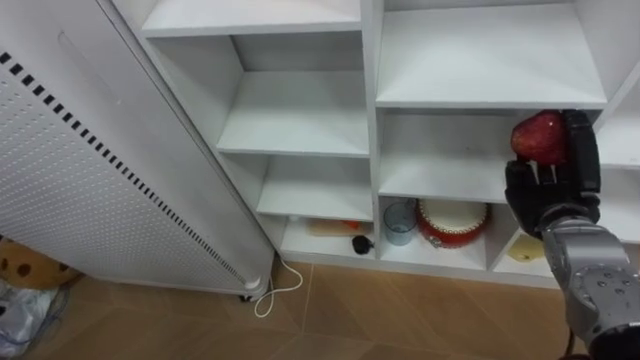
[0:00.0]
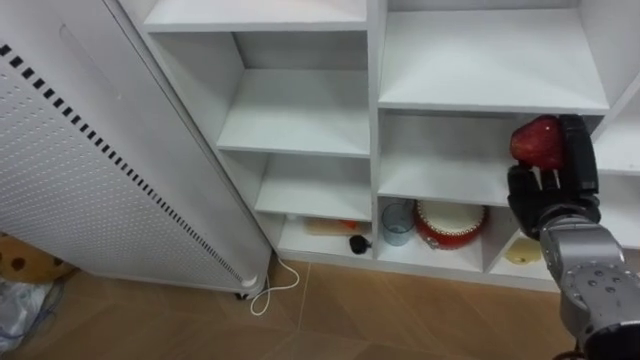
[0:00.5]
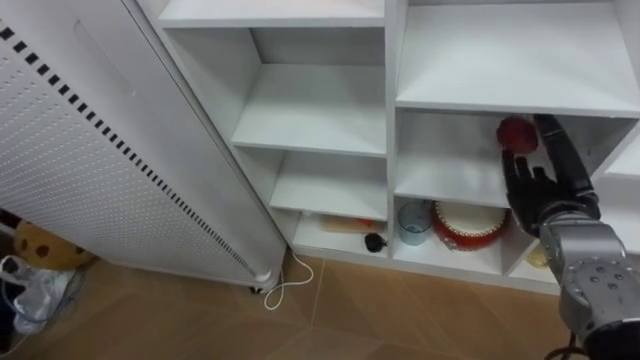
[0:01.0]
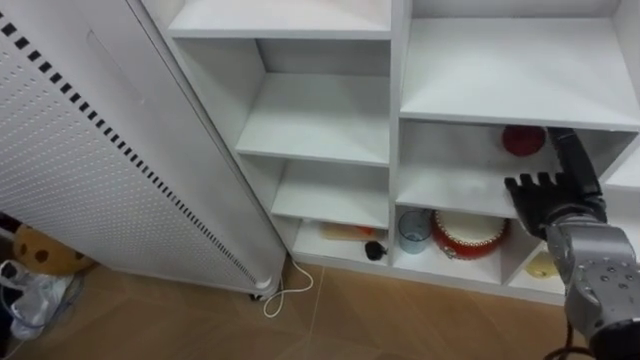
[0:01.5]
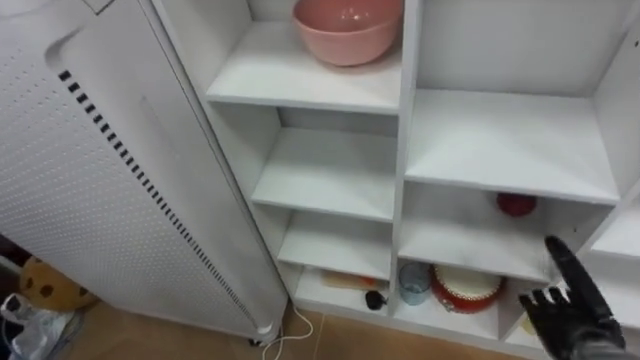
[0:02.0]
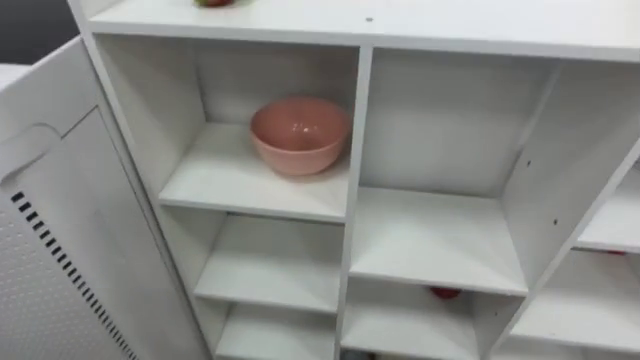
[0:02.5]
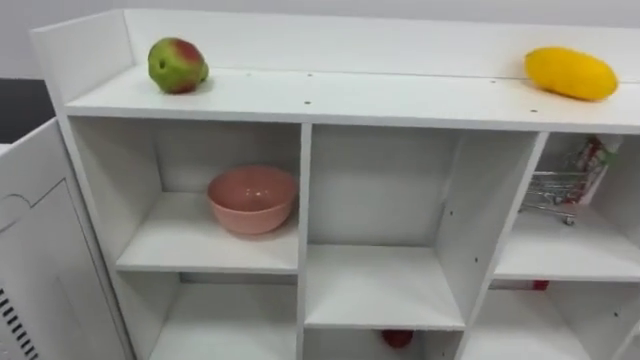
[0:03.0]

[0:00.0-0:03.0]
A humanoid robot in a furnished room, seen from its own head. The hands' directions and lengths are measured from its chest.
Task of the whole recording: Put the apple in the cell in the second column from the left and the second row from the top.
0:00.0 to 0:01.5: The right hand opens up.

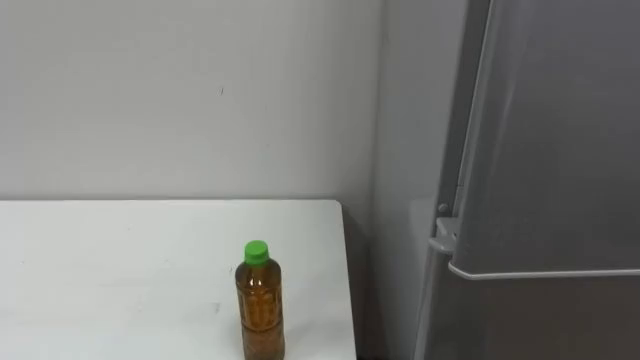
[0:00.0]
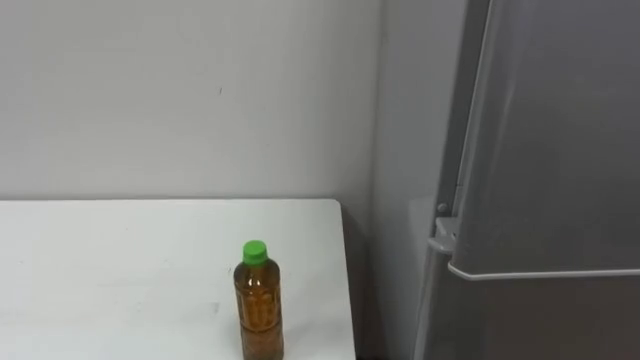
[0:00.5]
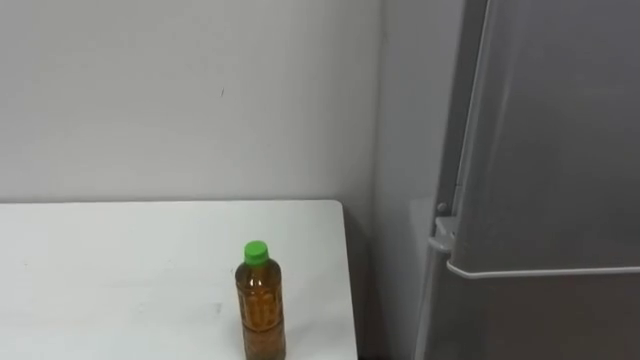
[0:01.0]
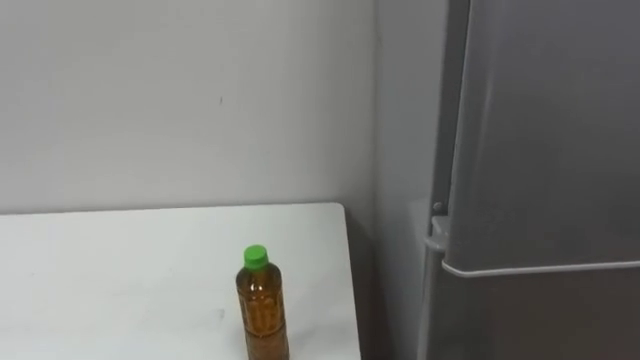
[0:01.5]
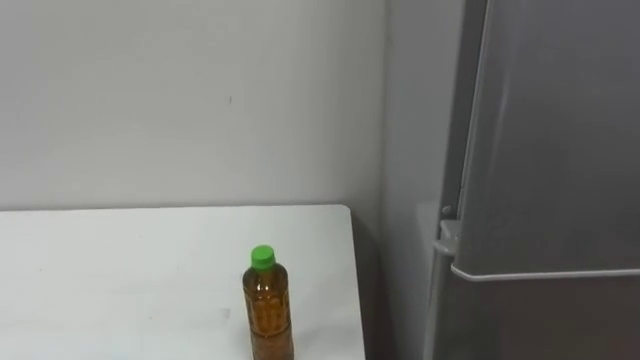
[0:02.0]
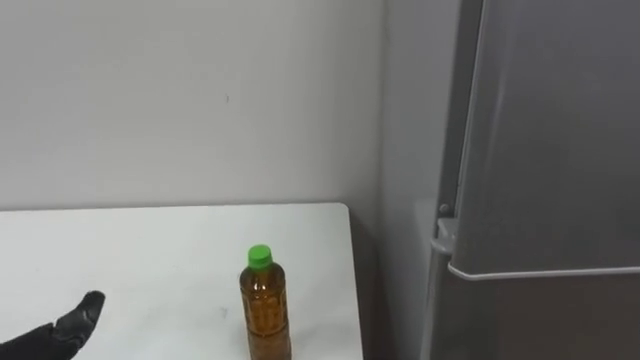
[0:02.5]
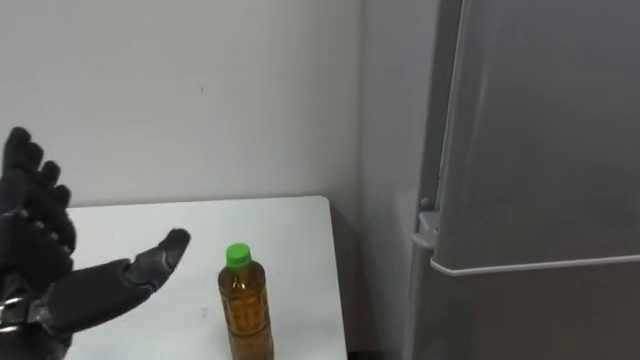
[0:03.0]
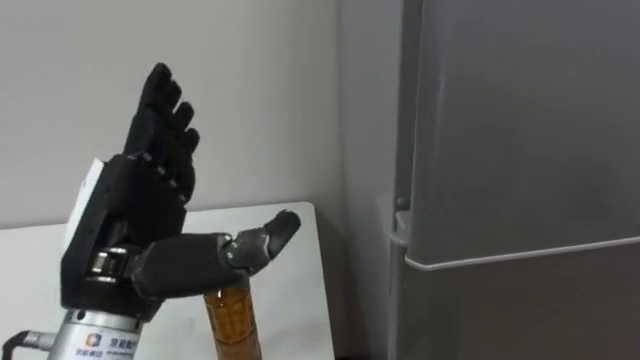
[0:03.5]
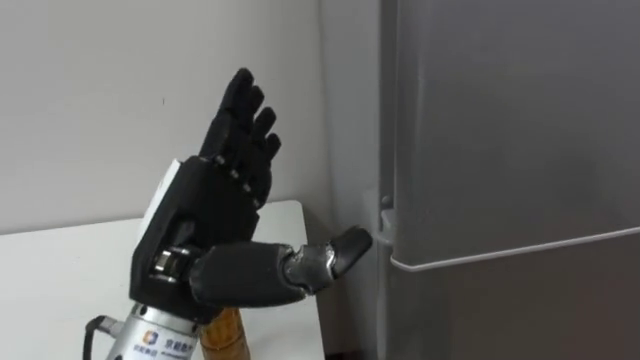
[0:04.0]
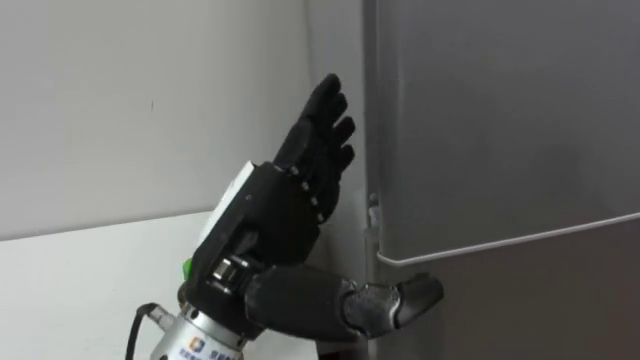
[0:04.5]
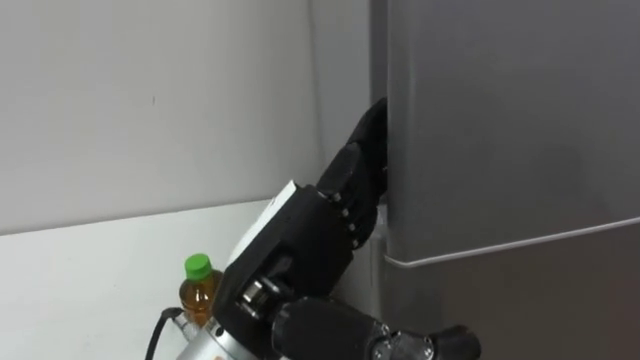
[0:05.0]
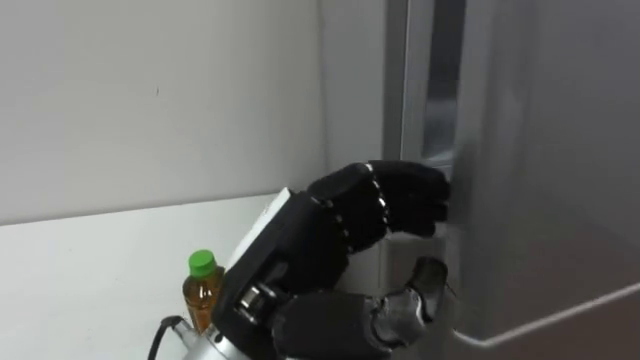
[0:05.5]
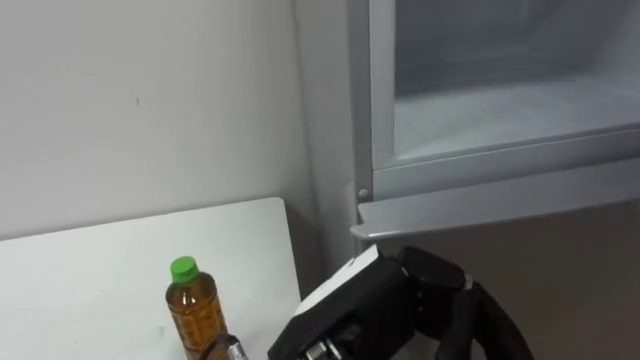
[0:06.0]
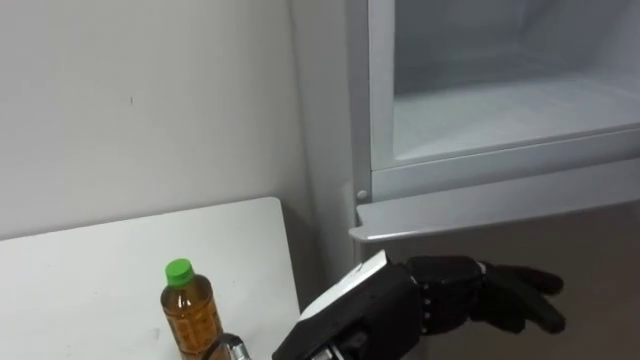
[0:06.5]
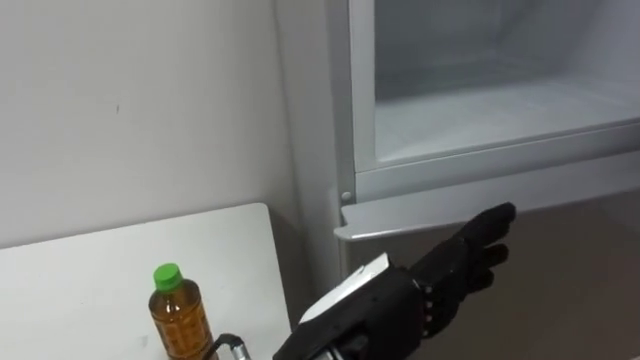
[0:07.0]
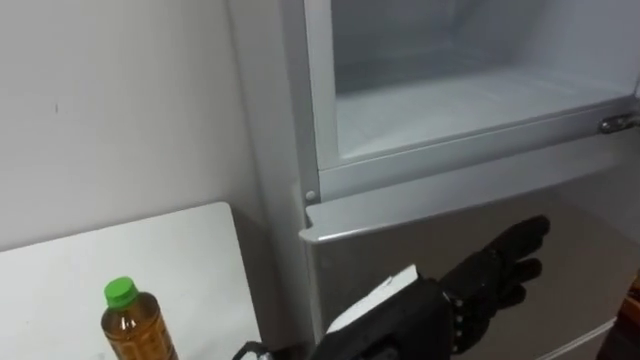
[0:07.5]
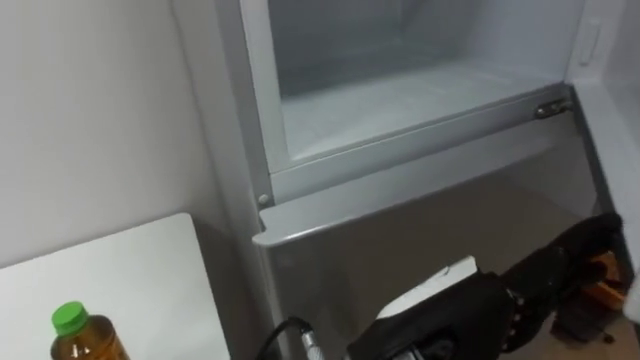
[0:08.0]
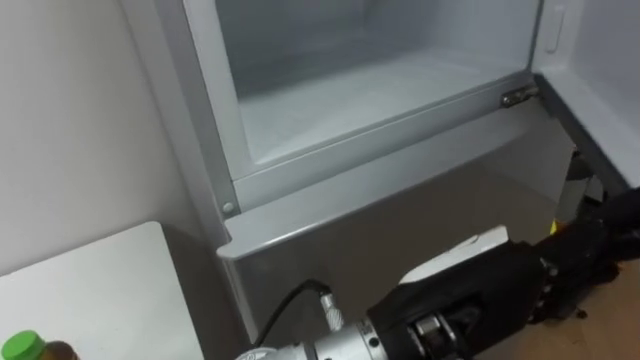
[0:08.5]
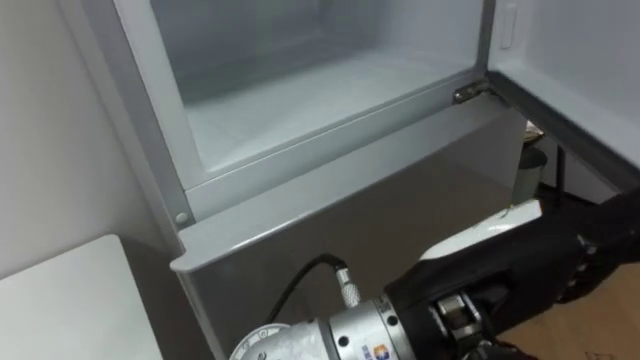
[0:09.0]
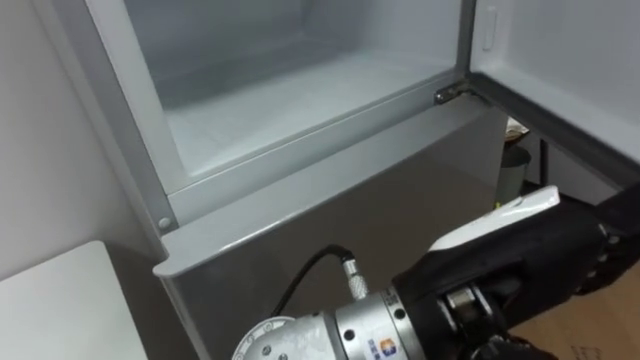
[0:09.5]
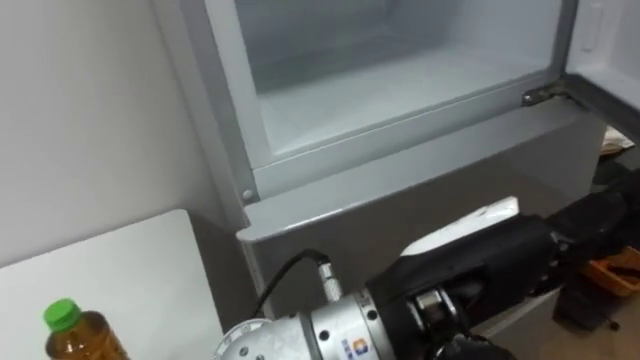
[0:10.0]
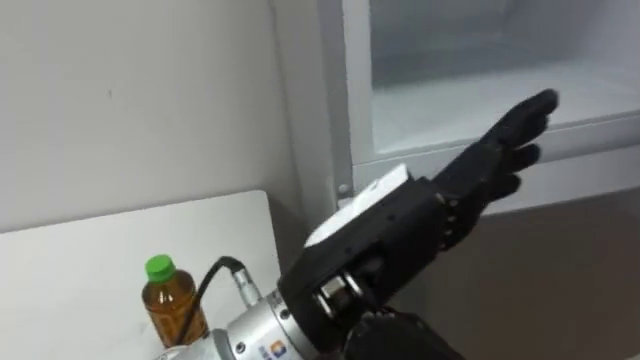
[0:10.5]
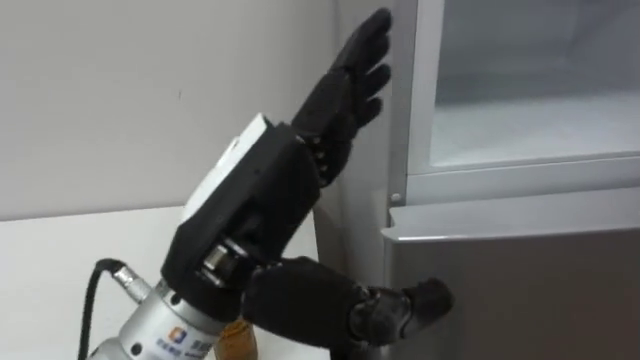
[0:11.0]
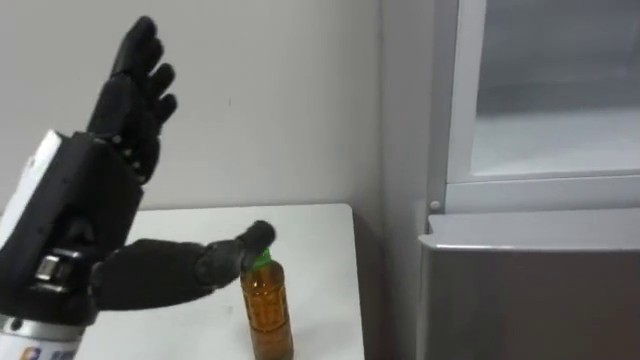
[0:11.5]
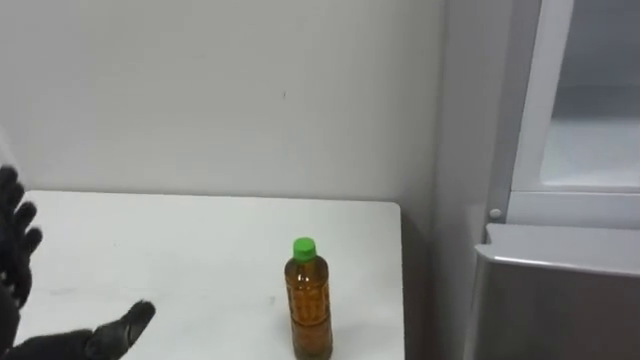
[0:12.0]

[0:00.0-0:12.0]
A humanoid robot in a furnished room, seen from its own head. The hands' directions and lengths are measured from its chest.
Task of the whole recording: Open the upper refrigerator door, put the drink from the table into the refrigerator, and then close the refrigerator door.
0:04.0 to 0:06.0: The left hand travels to the right by some 10 cm, and closes up.
0:06.0 to 0:08.0: The left hand goes roughly 5 cm to the right, and opens its fingers.

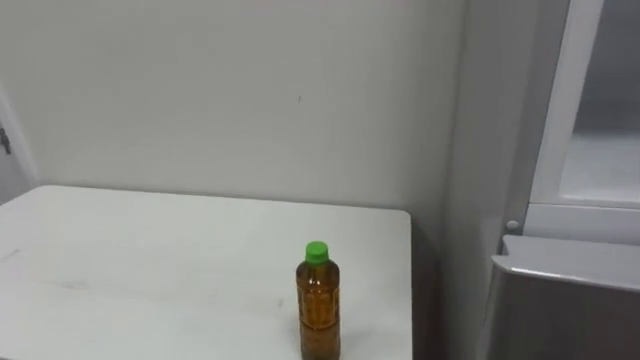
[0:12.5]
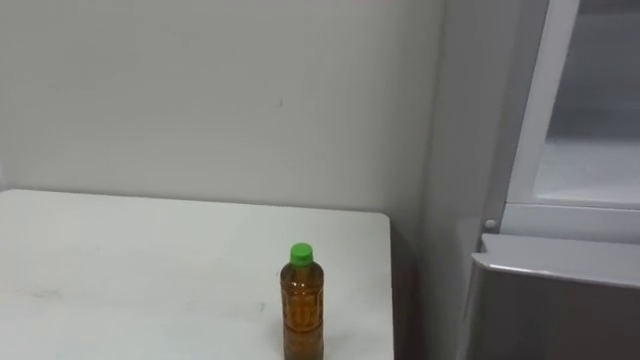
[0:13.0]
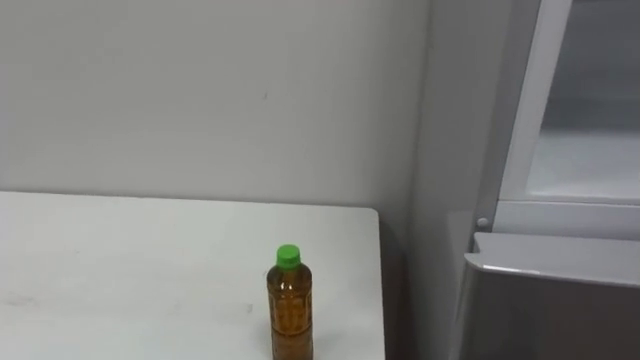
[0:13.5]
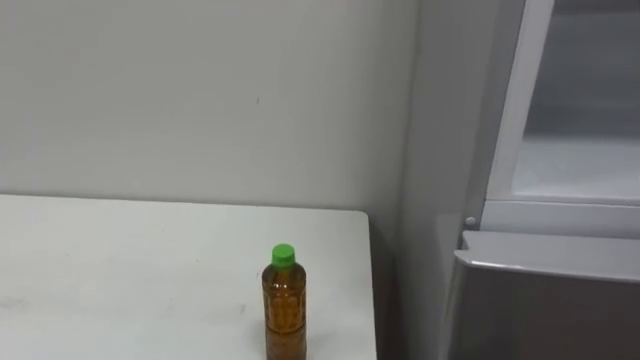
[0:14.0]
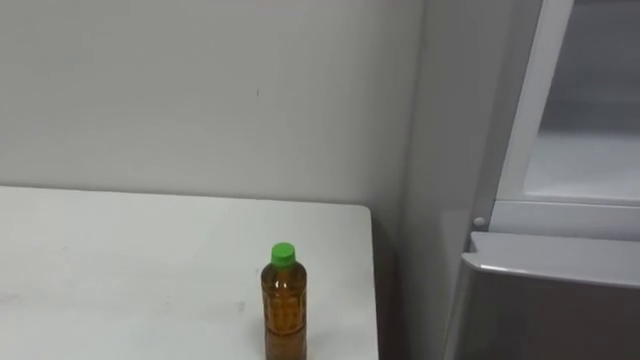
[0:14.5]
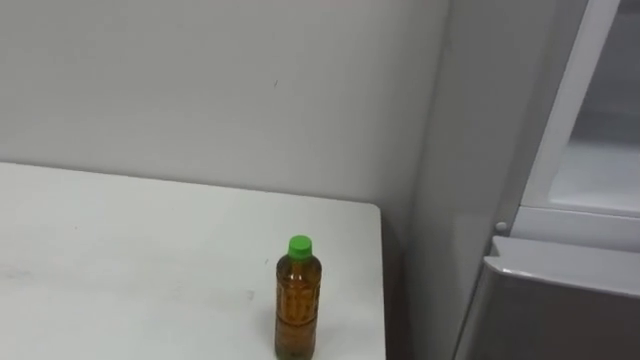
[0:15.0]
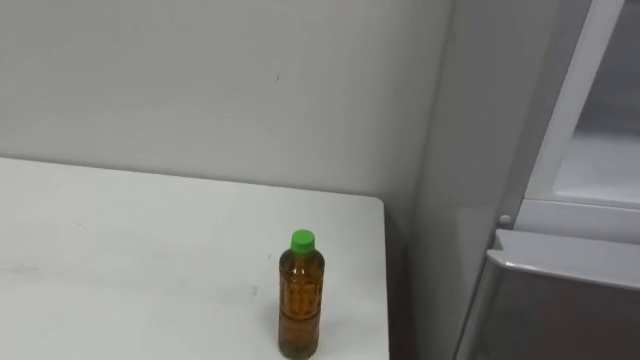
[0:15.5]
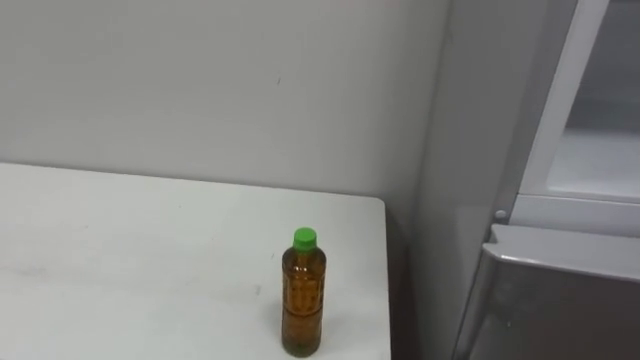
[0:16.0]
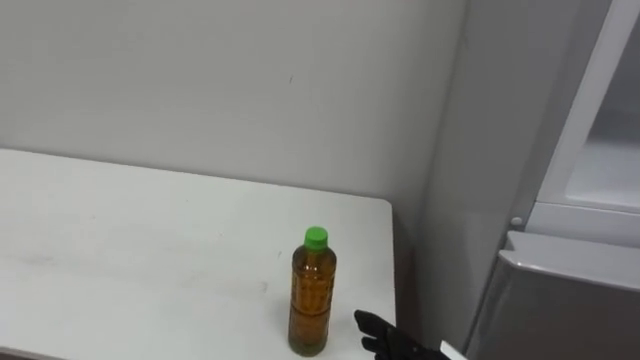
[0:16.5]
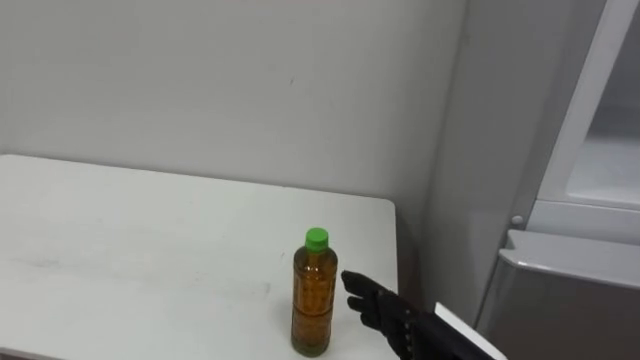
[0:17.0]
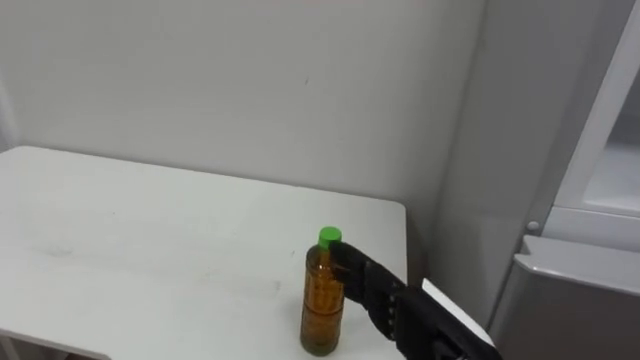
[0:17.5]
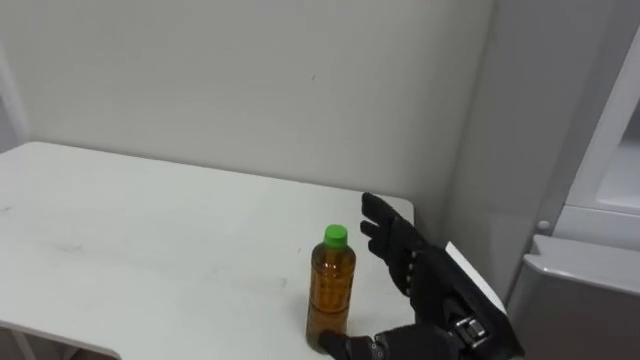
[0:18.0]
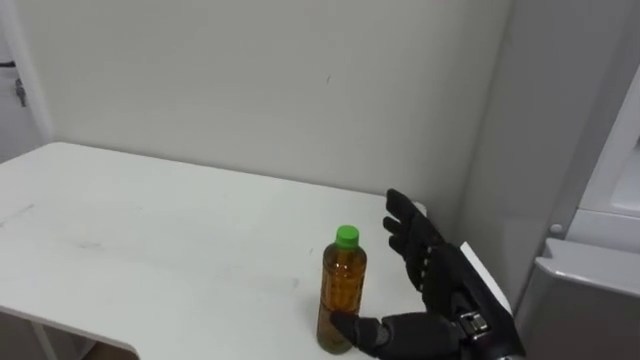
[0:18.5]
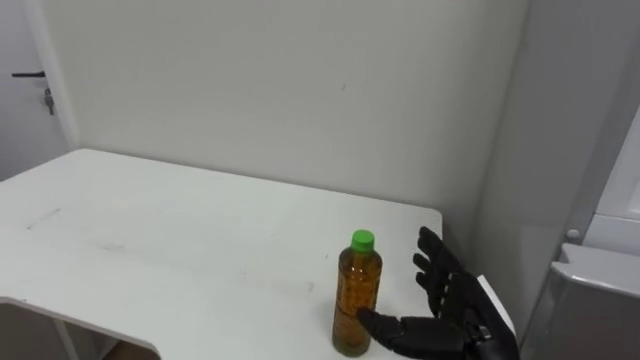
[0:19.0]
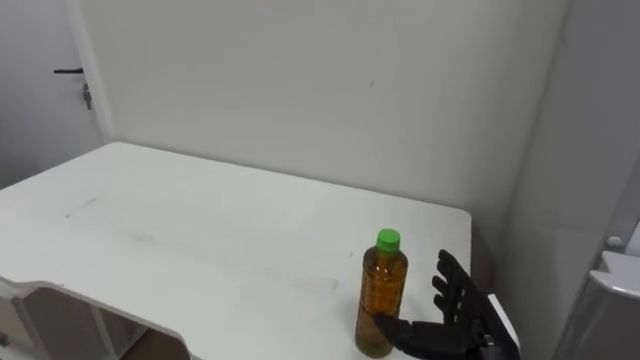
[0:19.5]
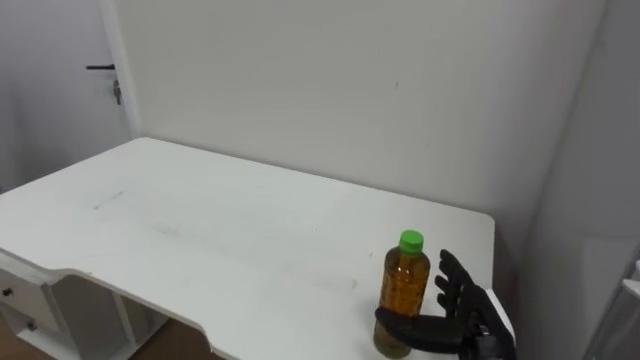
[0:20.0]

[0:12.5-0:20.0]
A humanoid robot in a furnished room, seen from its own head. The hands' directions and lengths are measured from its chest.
Task of the whole recording: Open the upper refrigerator door, put the drink from the table into the refrigerator, and then close the refrigerator door.
0:18.0 to 0:20.0: The right hand moves downward, forward and to the right, some 15 cm.
